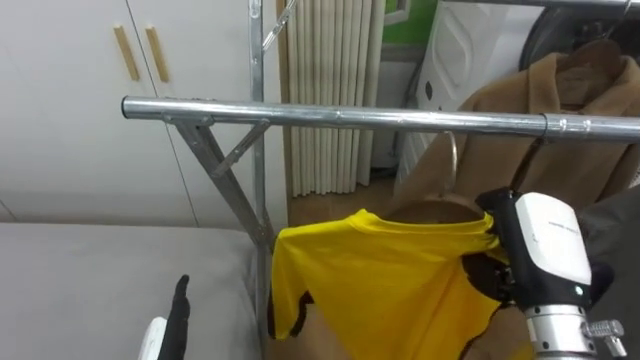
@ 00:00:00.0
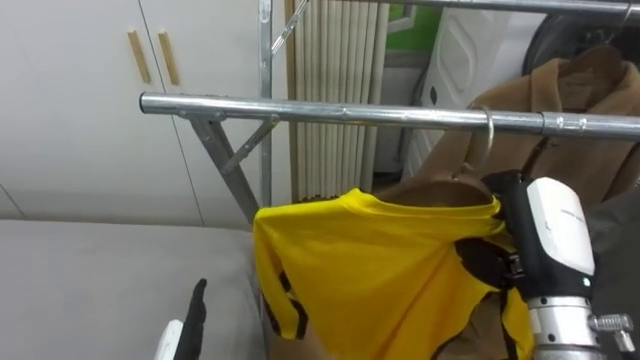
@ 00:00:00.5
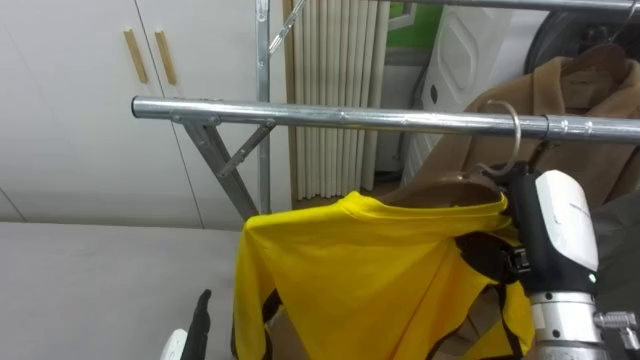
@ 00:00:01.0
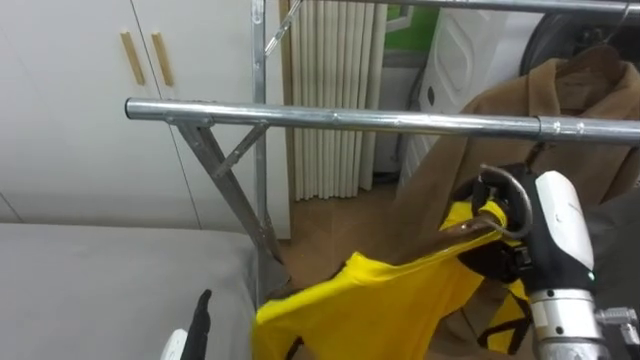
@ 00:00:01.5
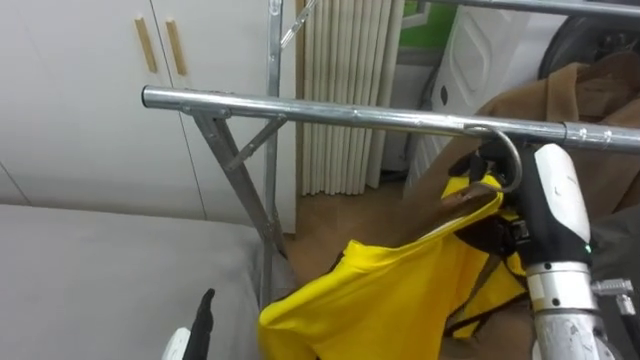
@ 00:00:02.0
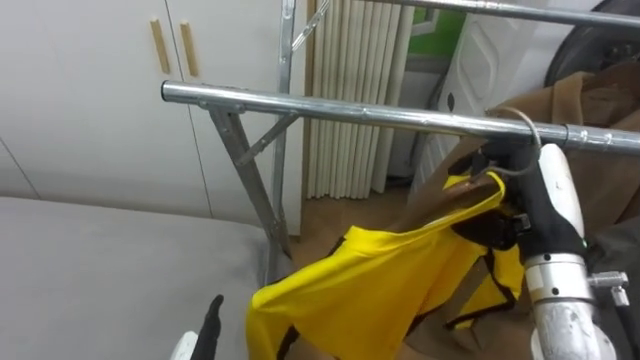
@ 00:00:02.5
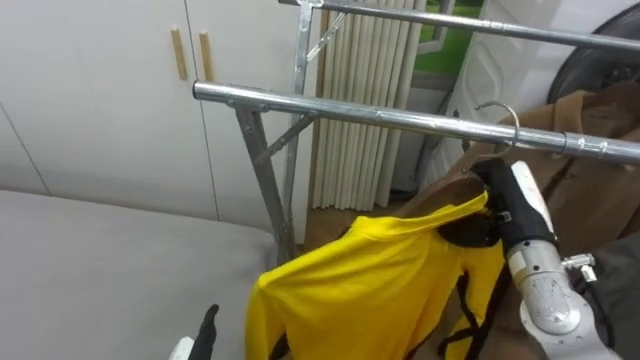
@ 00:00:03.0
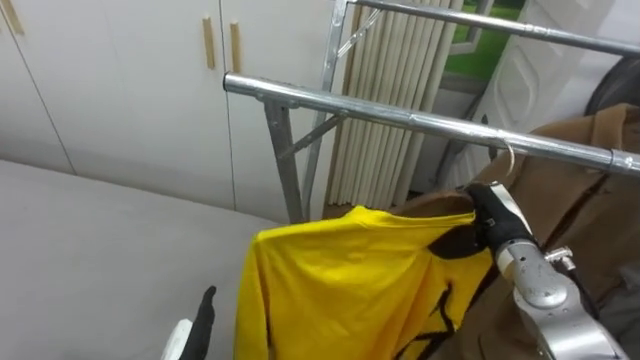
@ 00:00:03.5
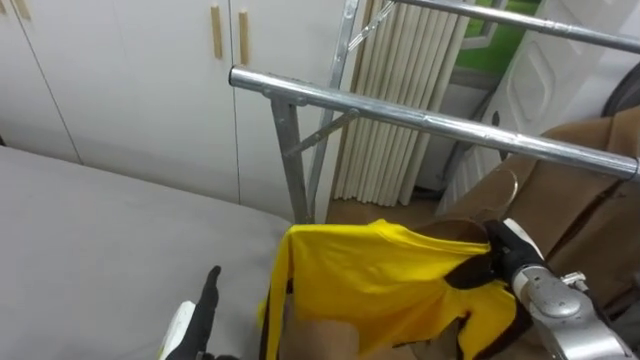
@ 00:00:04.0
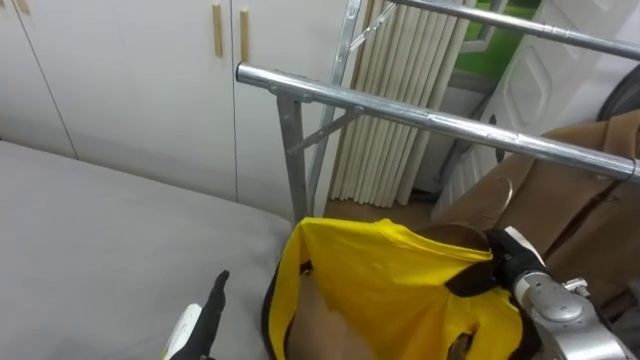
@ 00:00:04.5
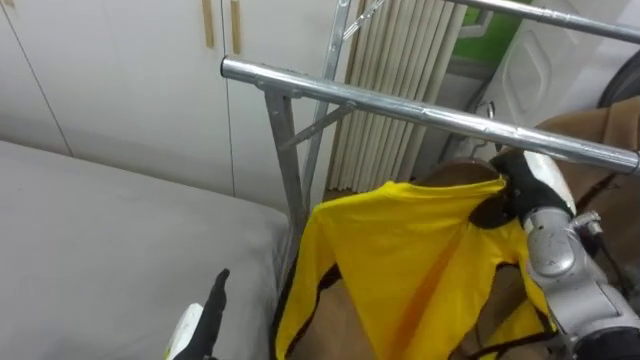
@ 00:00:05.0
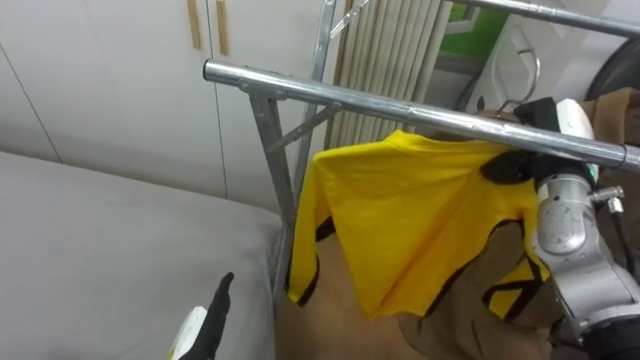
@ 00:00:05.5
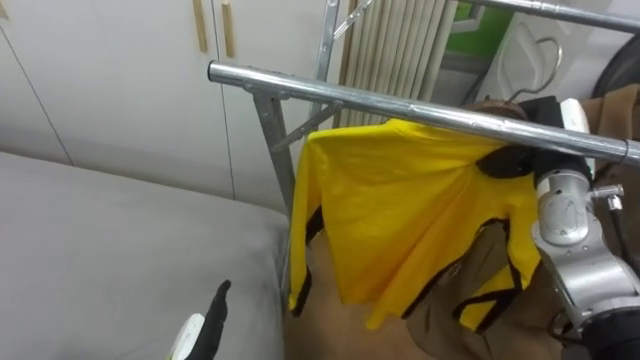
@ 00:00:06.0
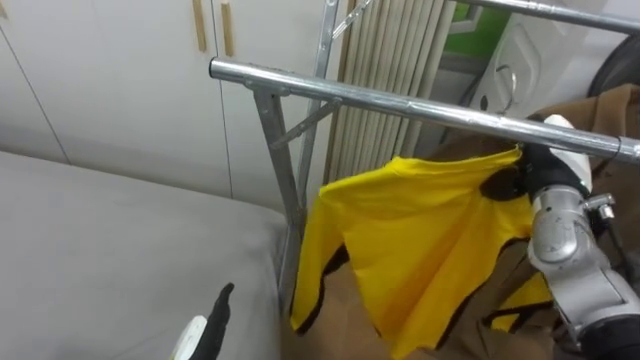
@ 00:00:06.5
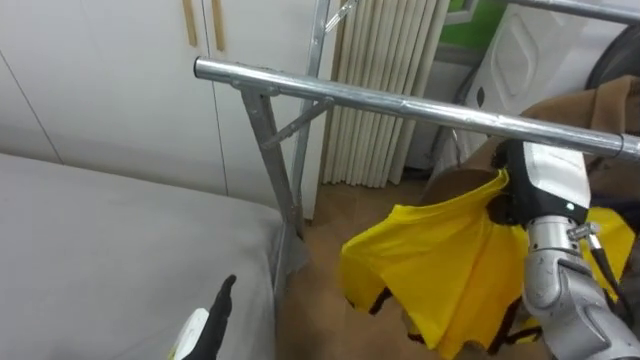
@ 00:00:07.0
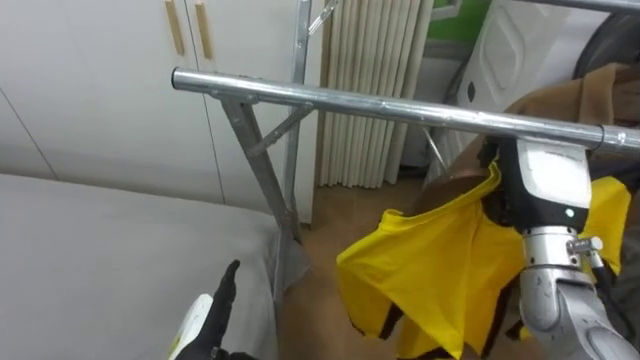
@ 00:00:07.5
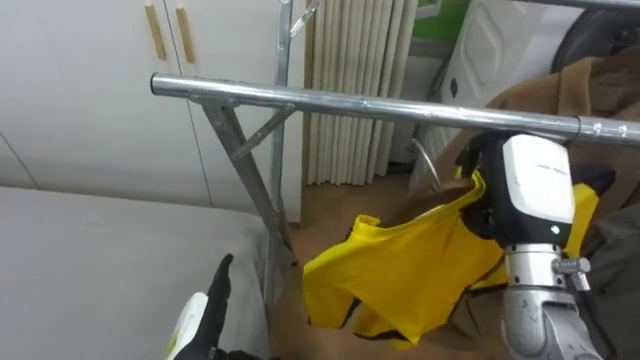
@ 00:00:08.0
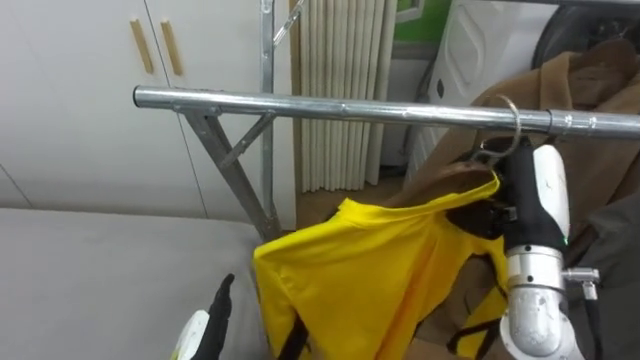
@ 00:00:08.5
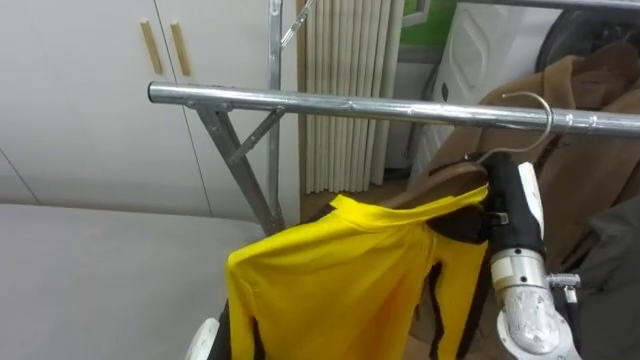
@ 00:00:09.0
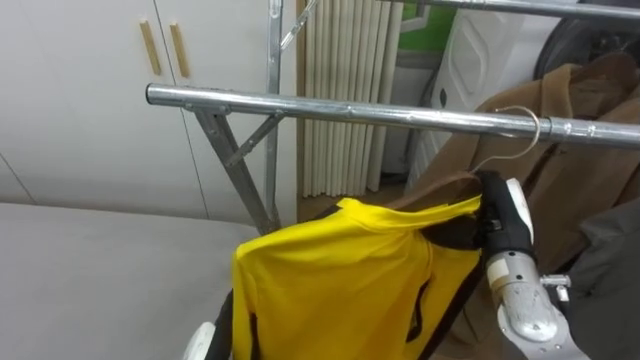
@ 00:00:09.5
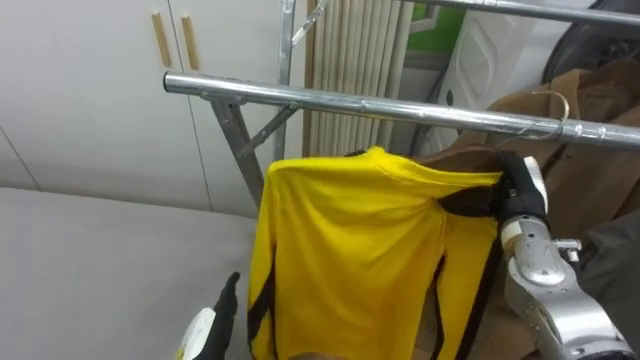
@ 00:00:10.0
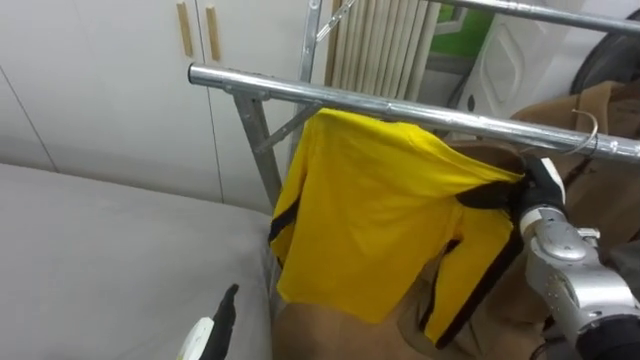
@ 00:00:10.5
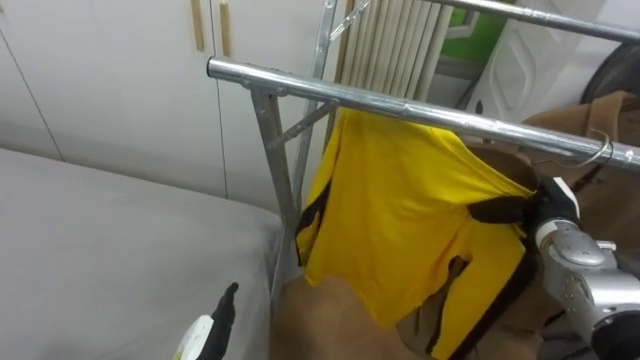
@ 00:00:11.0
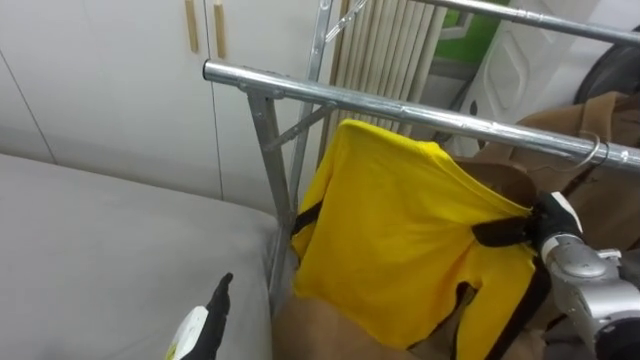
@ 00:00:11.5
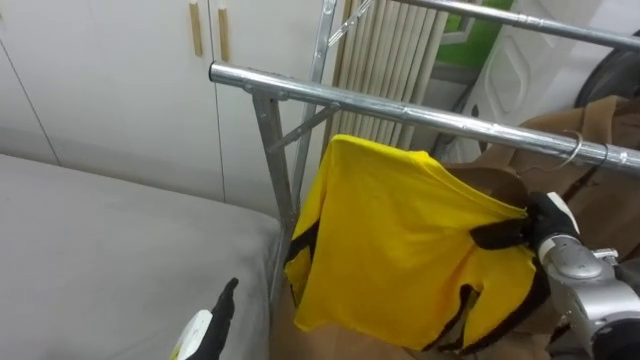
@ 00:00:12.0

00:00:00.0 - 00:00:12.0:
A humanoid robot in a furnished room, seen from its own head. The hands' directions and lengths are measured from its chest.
Task of the whole recording: Pick up the yellow shirt on the bed and hang it on the clothes rack on the right.
00:00:00.0 - 00:00:02.0: The right hand moves roughly 5 cm.
00:00:02.0 - 00:00:04.0: The right hand shifts approximately 20 cm downward and forward.
00:00:04.0 - 00:00:06.0: The right hand shifts some 15 cm upward.
00:00:06.0 - 00:00:08.0: The right hand shifts about 10 cm backward and to the left.
00:00:08.0 - 00:00:10.0: The right hand heads downward and forward, covering about 10 cm.
00:00:10.0 - 00:00:12.0: The right hand is displaced downward and to the right by roughly 10 cm.

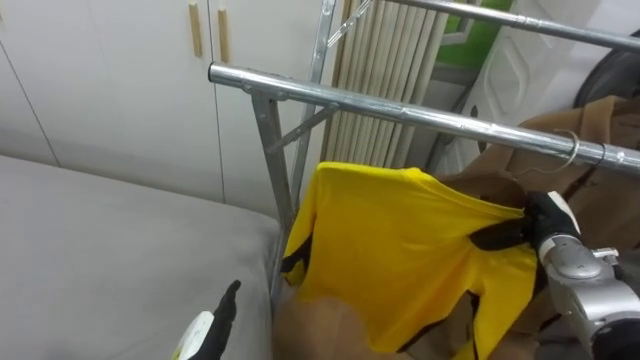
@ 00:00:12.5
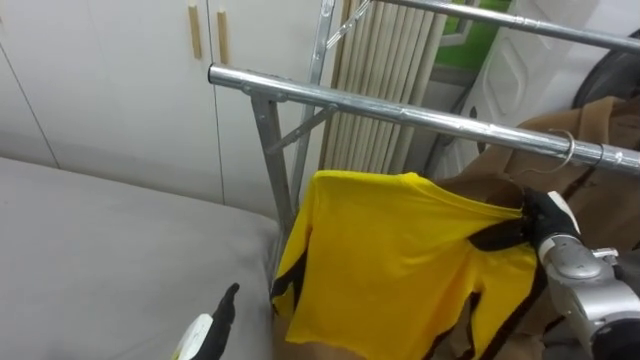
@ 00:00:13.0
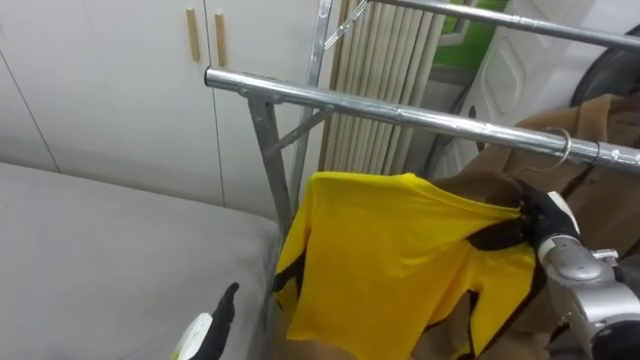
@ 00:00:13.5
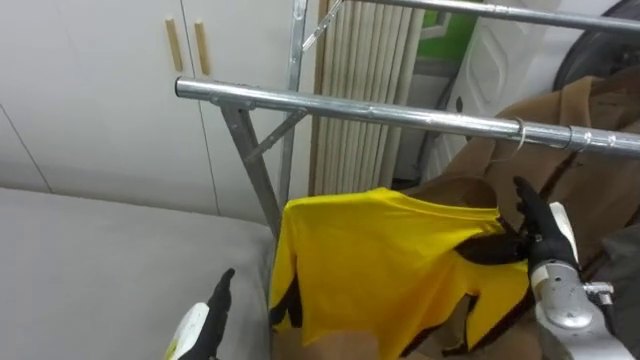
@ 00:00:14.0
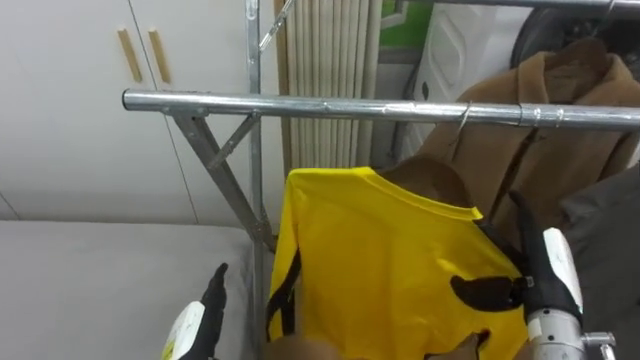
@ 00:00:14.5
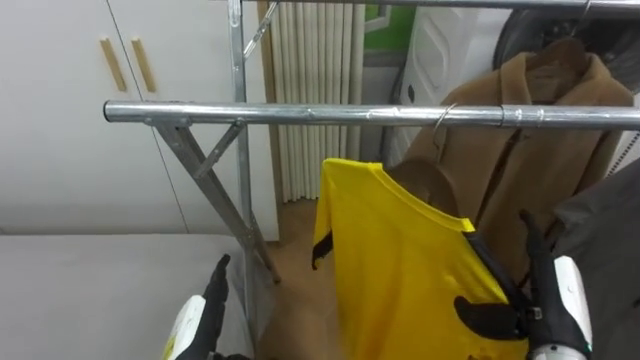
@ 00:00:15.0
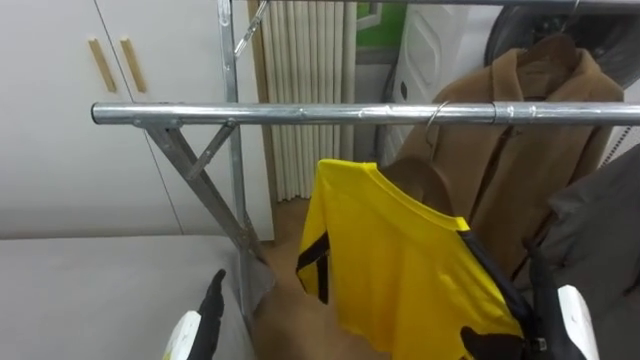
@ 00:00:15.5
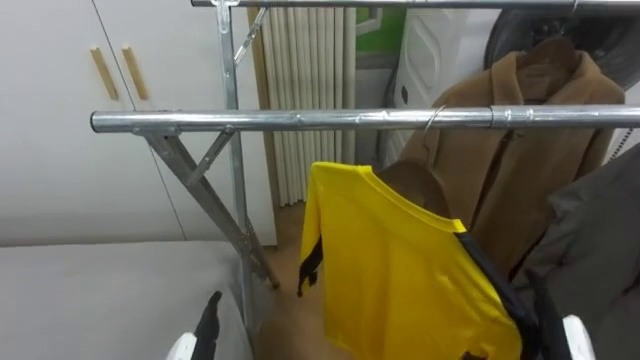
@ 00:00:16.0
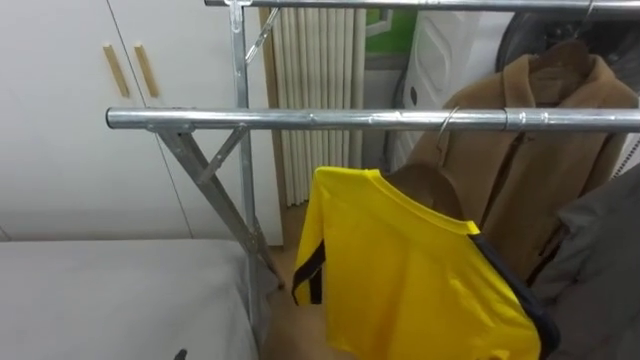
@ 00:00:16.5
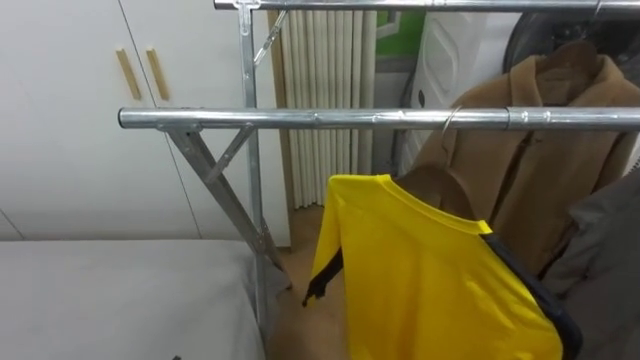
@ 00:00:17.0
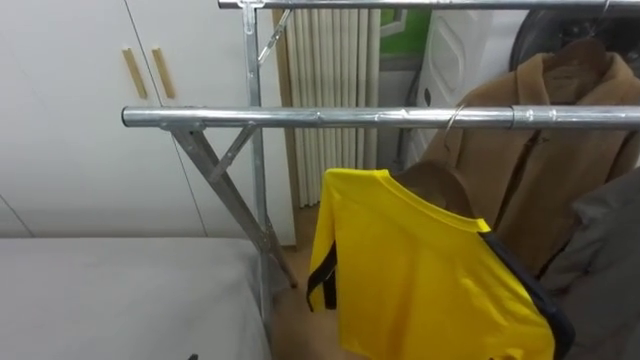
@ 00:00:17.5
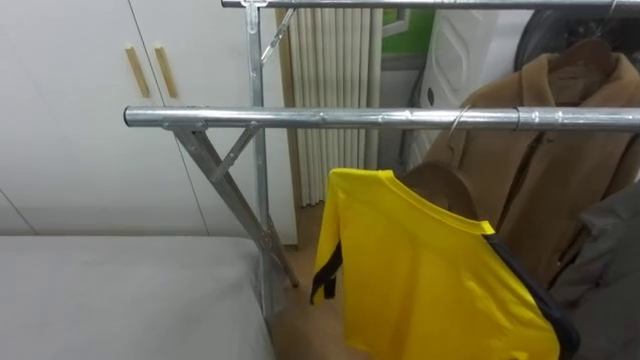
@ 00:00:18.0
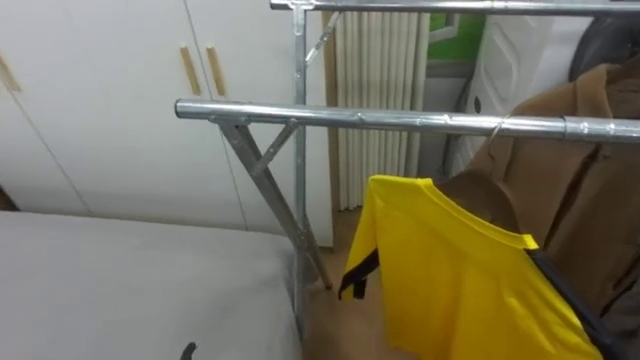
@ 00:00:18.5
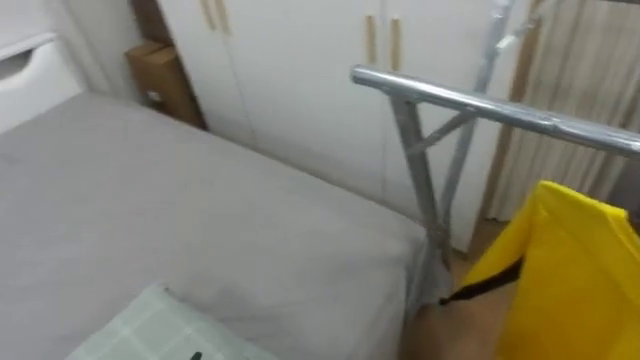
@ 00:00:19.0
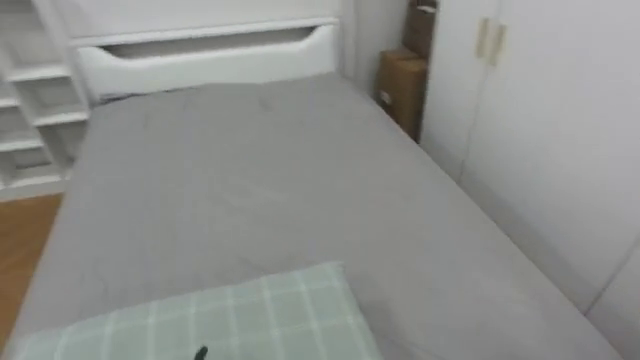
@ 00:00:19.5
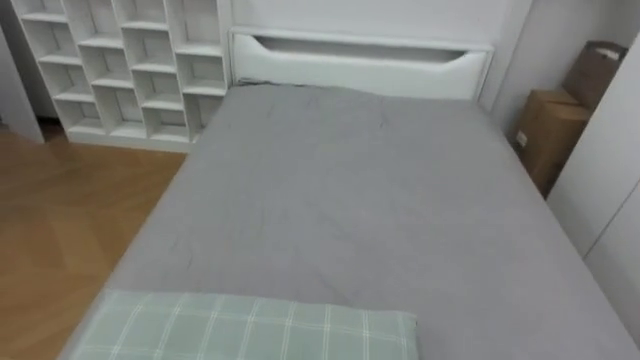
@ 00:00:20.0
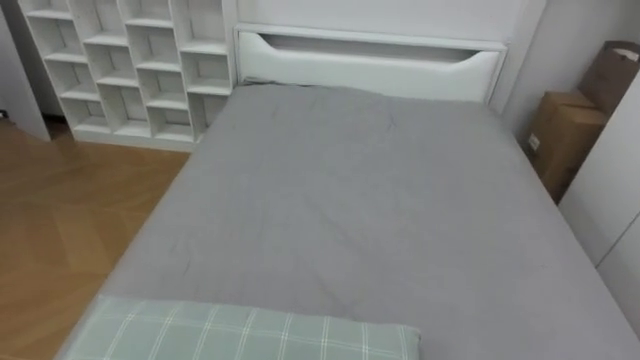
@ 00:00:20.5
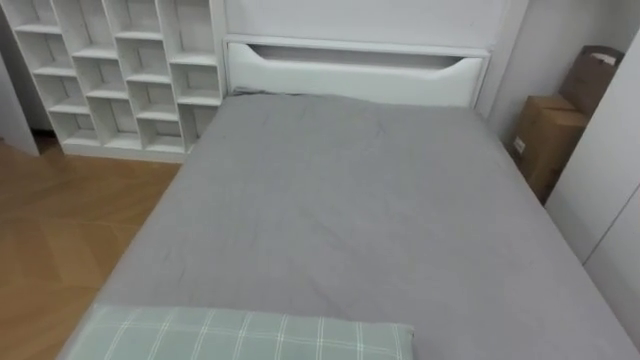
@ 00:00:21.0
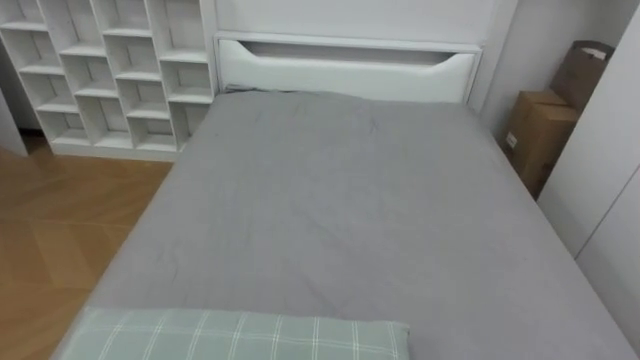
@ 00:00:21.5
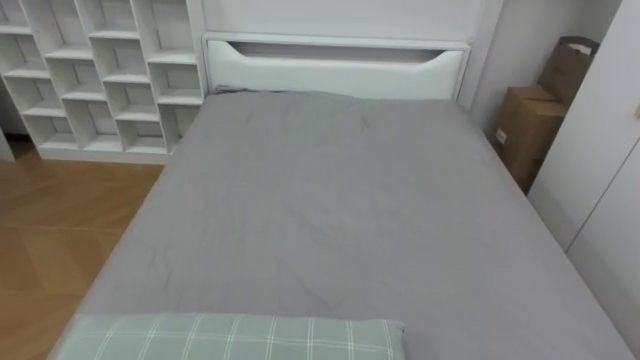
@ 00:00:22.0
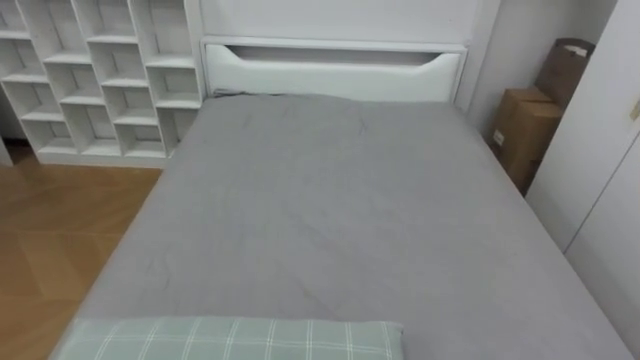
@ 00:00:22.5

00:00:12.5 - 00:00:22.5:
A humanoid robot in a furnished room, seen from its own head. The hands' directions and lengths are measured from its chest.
Task of the whole recording: Pick up the yellow shirt on the bed and hang it on the clothes rack on the right.
00:00:12.5 - 00:00:14.5: The right hand heads backward, covering approximately 10 cm.
00:00:18.5 - 00:00:20.5: The robot's body swings some 80 degrees to its left.
